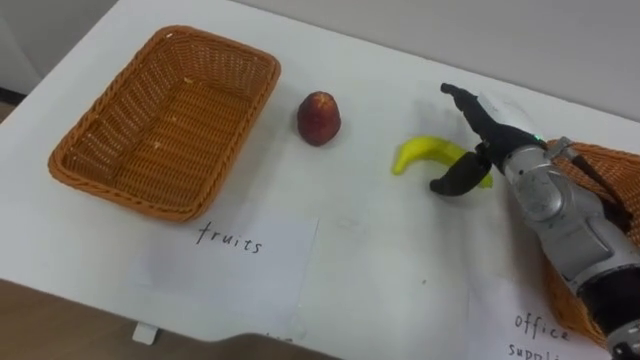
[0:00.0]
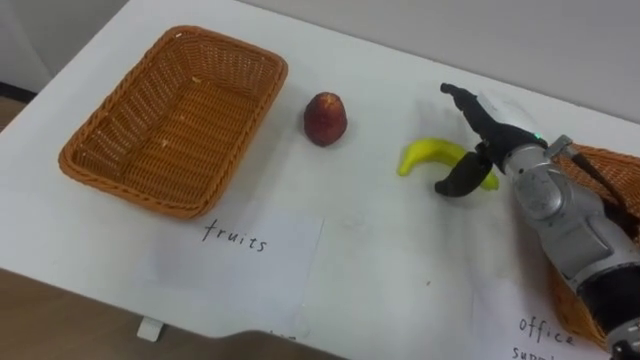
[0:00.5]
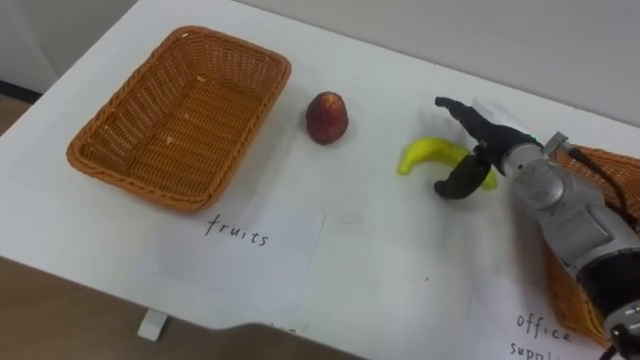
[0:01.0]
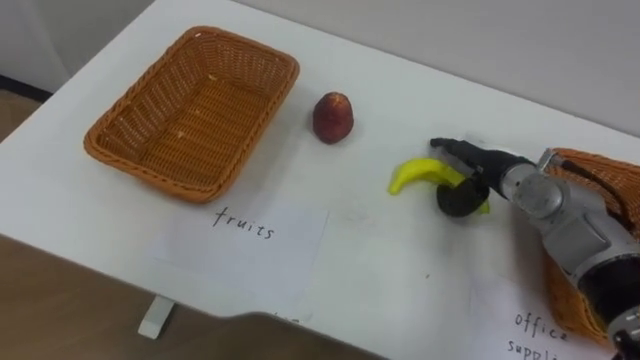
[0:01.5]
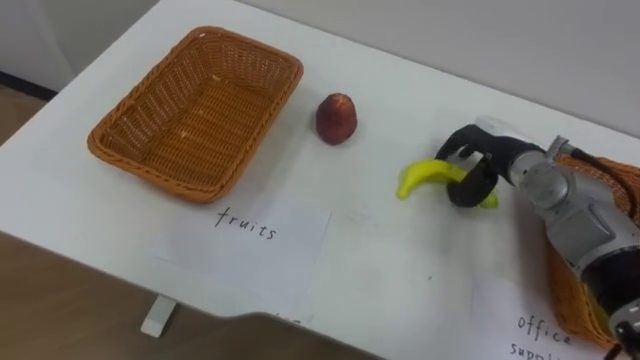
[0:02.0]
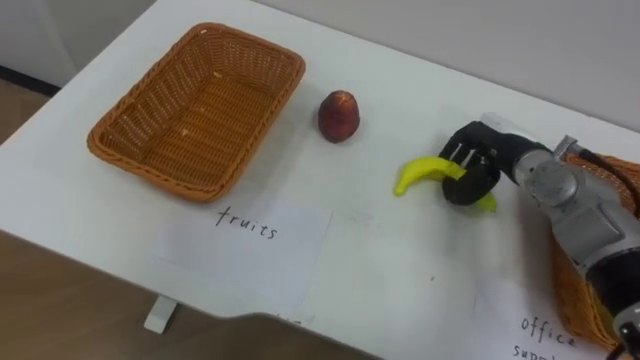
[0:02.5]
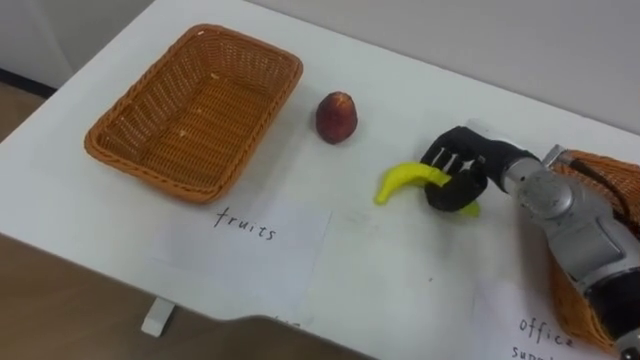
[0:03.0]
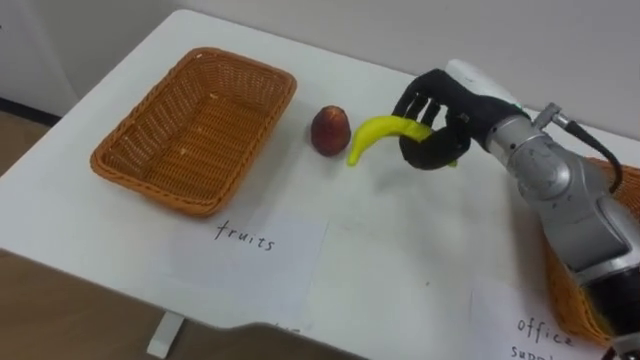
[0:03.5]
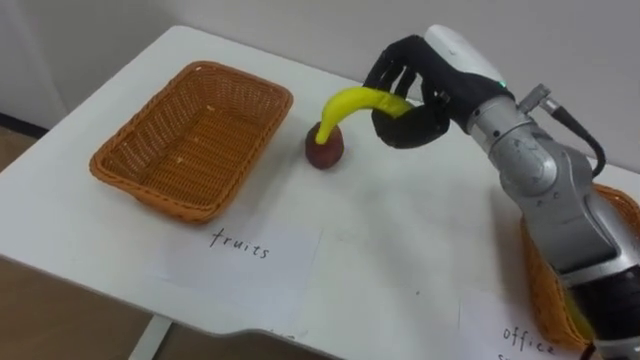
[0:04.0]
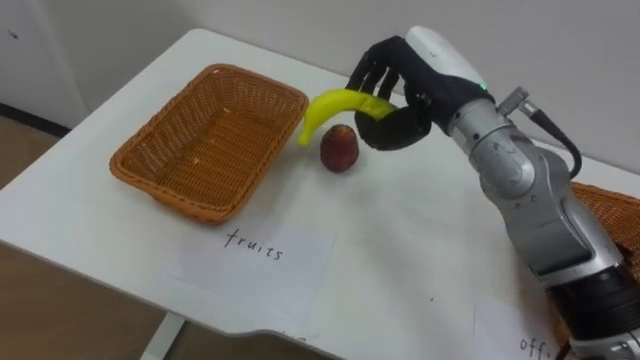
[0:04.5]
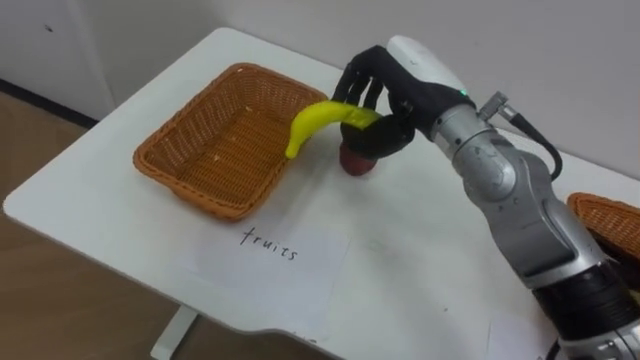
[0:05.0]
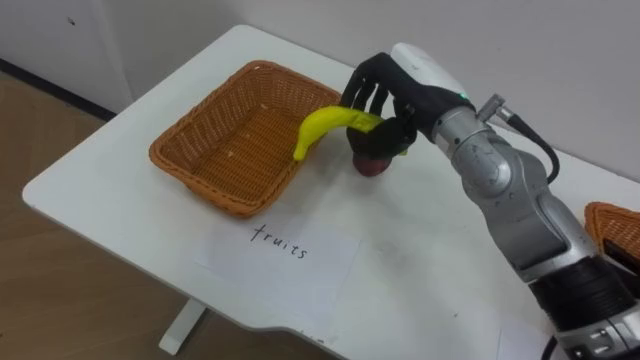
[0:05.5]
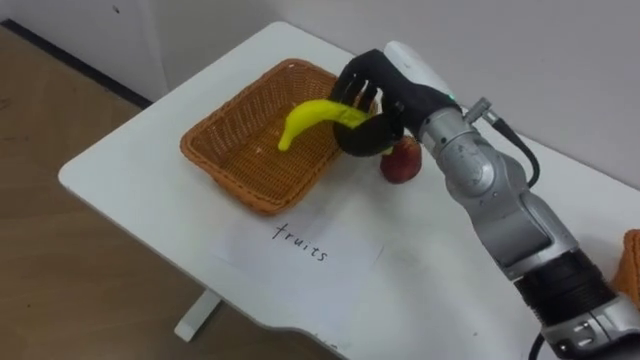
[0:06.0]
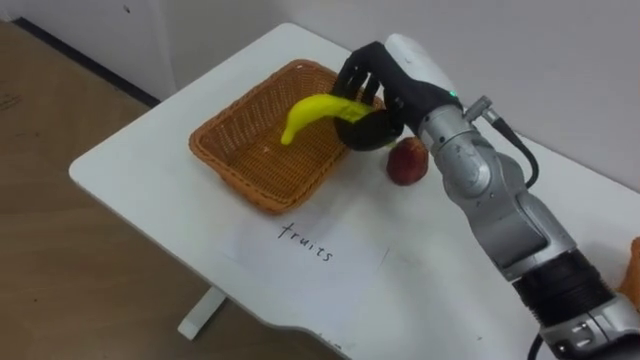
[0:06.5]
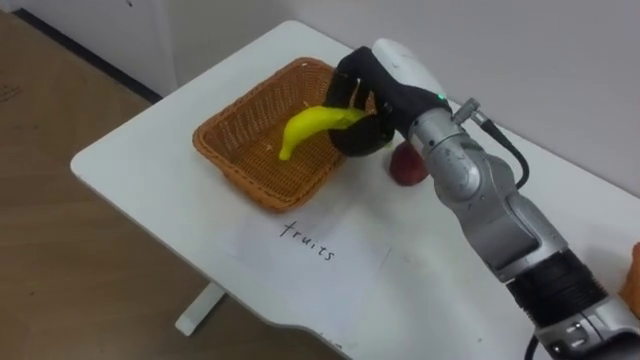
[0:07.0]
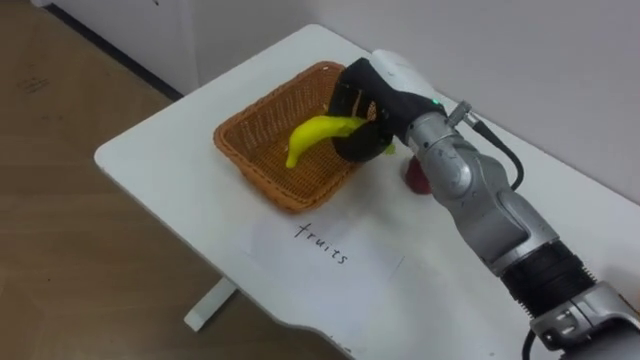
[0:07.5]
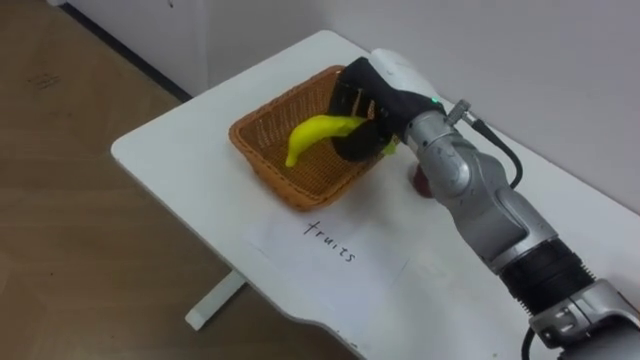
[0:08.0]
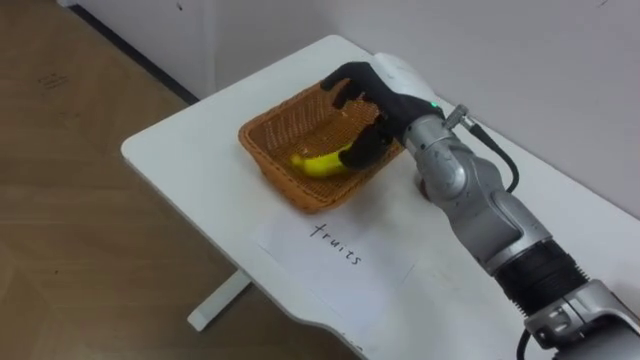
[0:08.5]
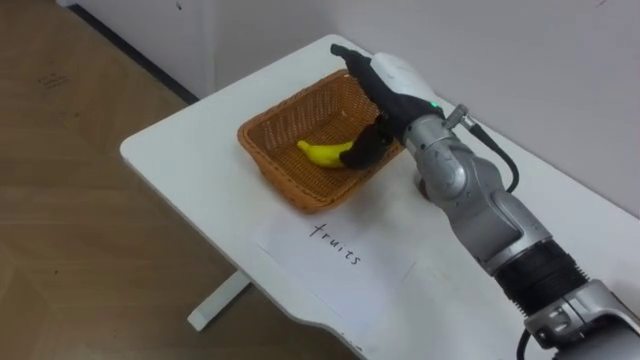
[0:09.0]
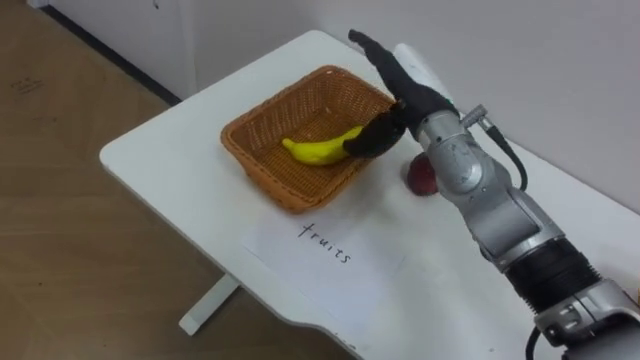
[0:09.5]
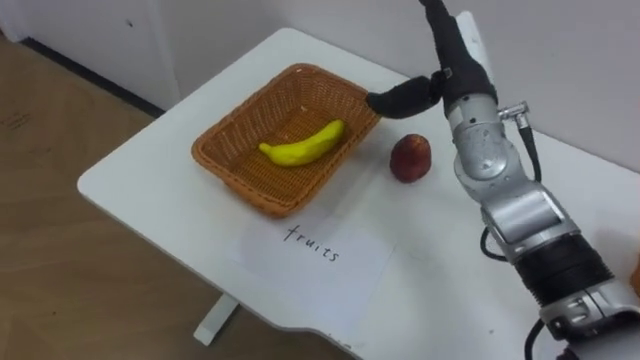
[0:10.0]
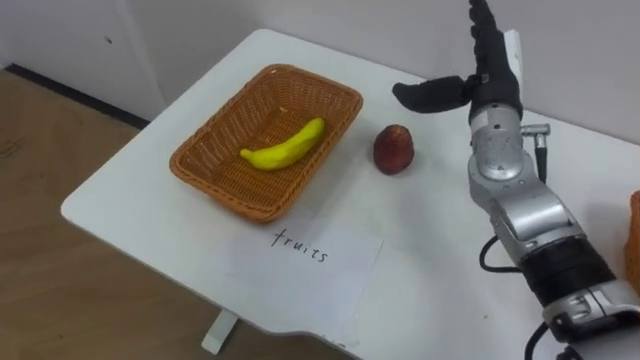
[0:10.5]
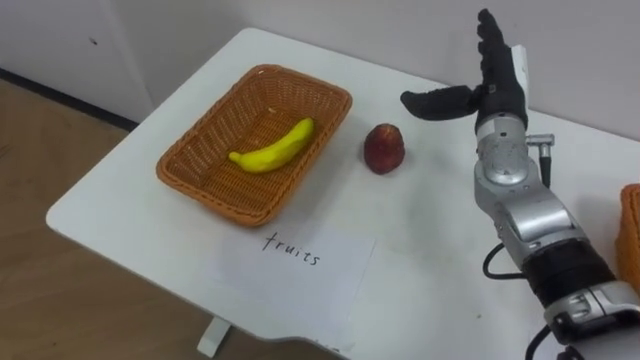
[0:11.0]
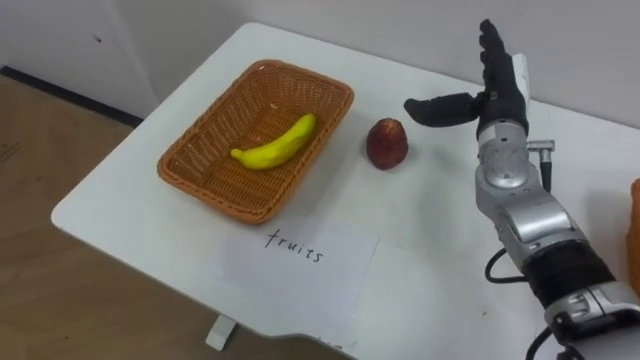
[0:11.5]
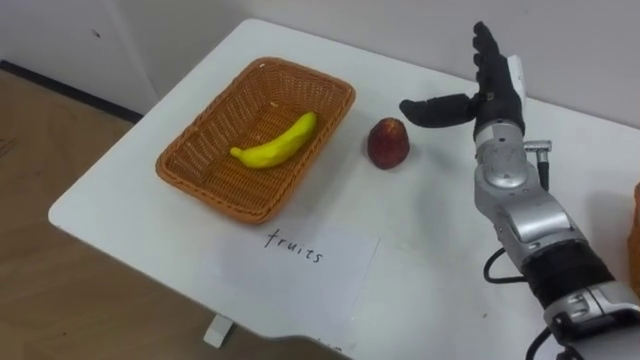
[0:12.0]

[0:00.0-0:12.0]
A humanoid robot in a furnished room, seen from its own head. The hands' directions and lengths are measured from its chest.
Task of the whole recording: Separate the items on the table and place them into the two baskets.
0:00.0 to 0:02.0: The right hand closes up.
0:02.0 to 0:04.0: The right hand goes approximately 15 cm upward and to the left, and closes its fingers.
0:08.0 to 0:10.0: The right hand heads to the right, covering about 5 cm, and opens up.
0:10.0 to 0:12.0: The right hand goes about 10 cm to the right and downward.

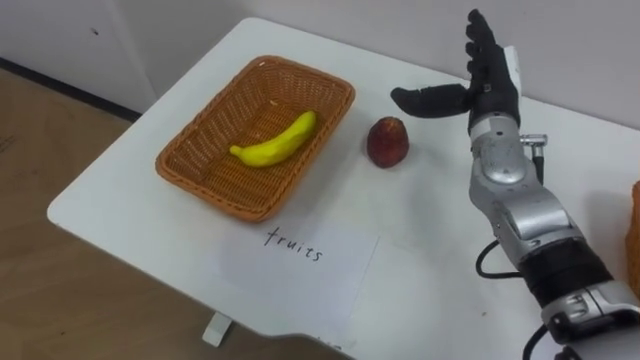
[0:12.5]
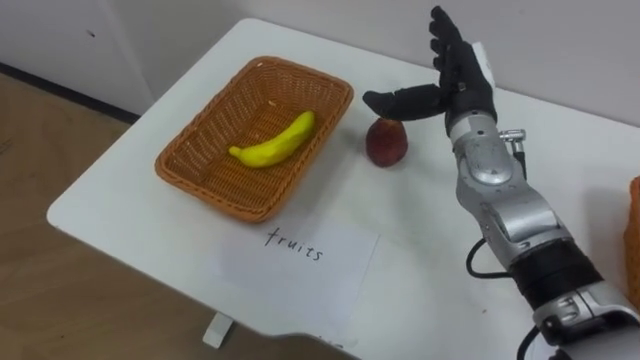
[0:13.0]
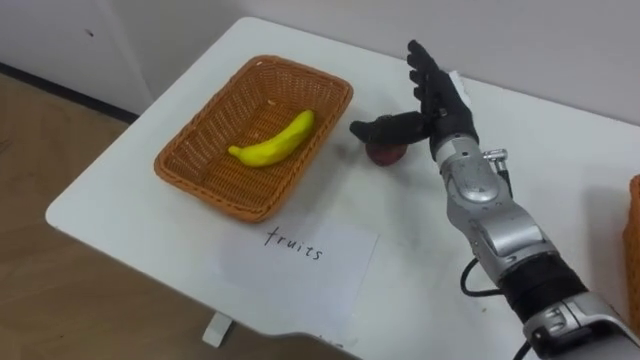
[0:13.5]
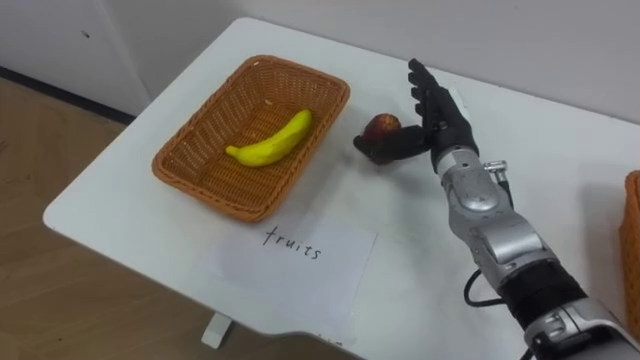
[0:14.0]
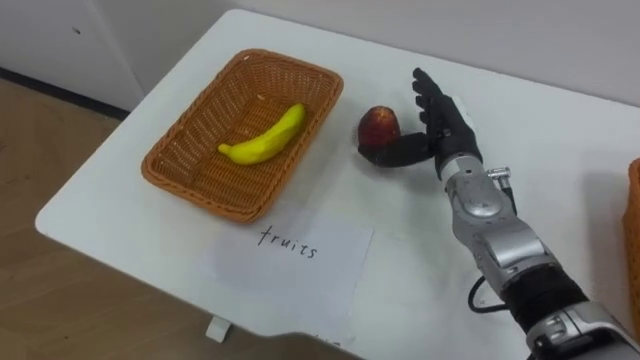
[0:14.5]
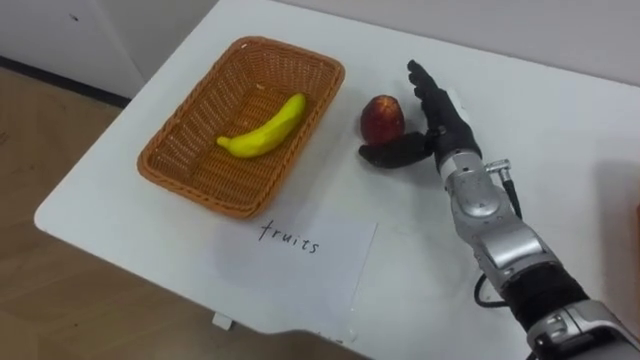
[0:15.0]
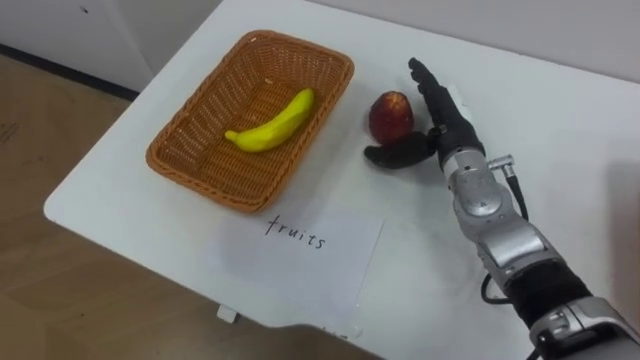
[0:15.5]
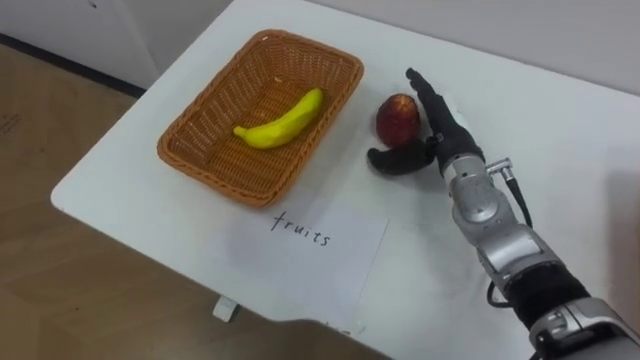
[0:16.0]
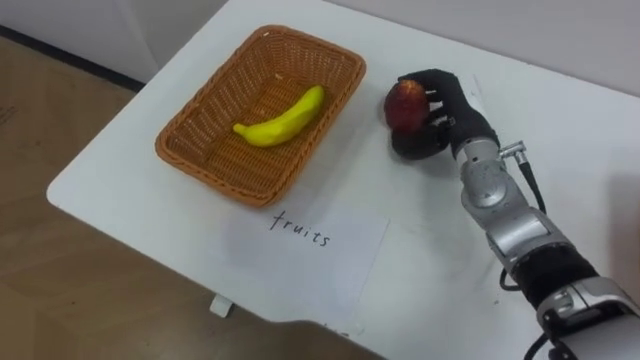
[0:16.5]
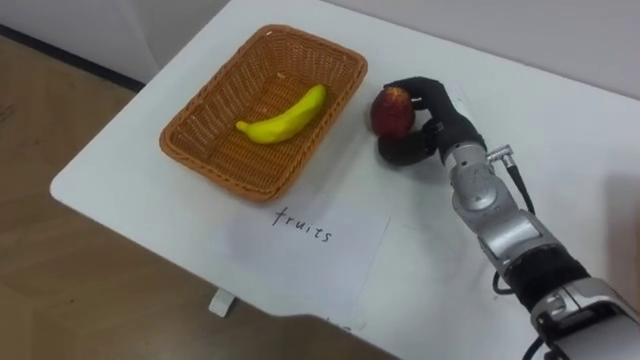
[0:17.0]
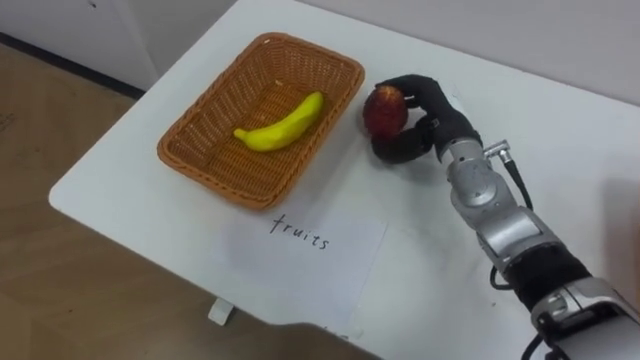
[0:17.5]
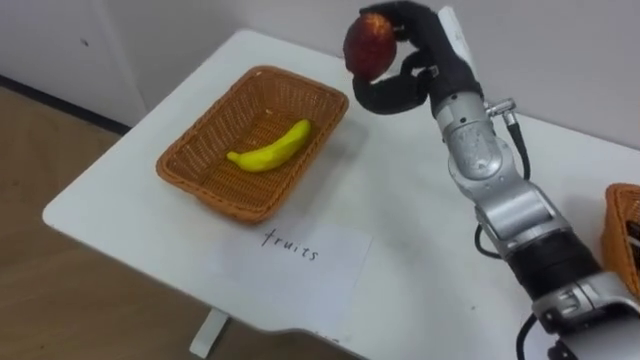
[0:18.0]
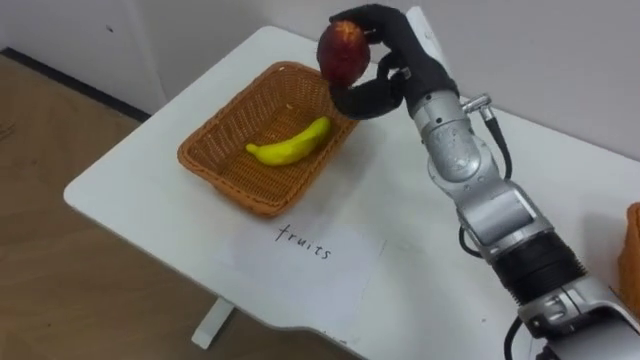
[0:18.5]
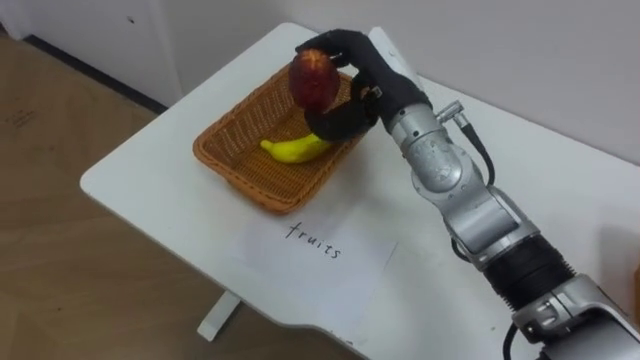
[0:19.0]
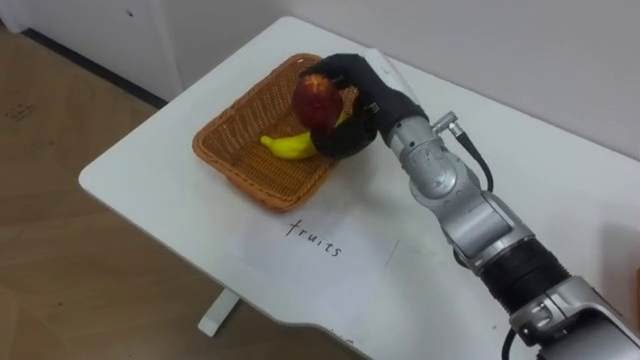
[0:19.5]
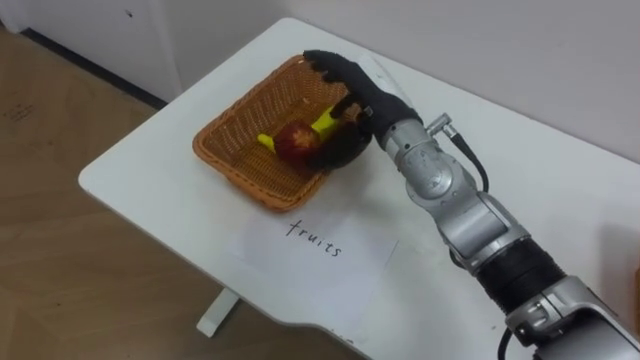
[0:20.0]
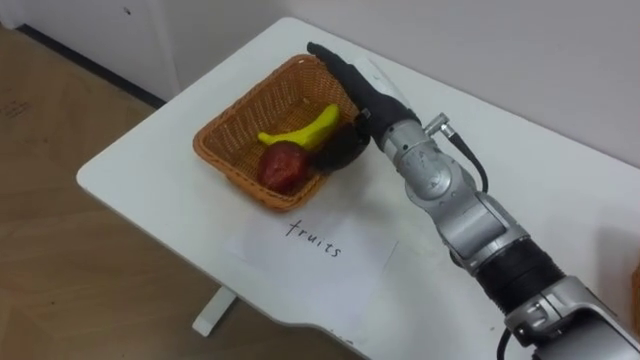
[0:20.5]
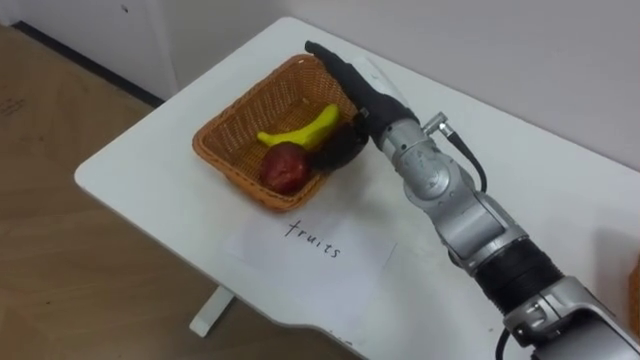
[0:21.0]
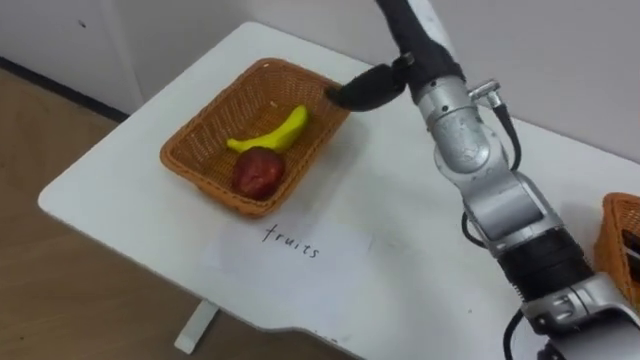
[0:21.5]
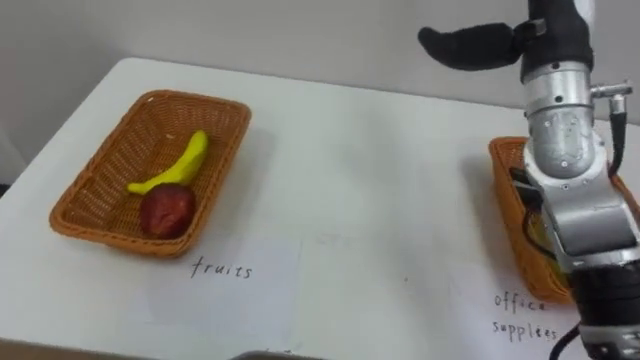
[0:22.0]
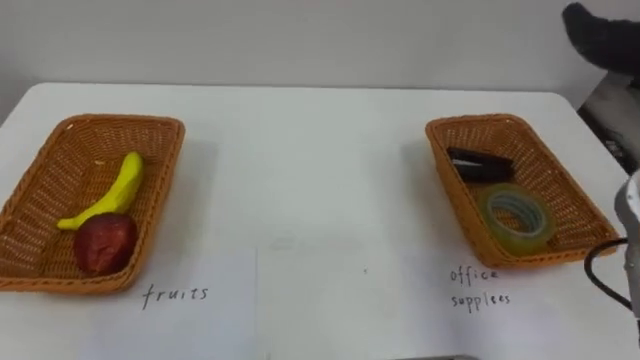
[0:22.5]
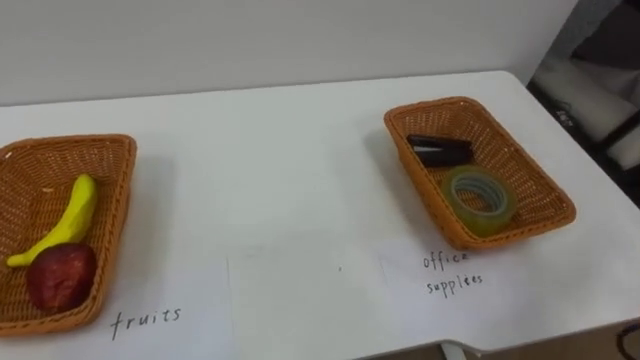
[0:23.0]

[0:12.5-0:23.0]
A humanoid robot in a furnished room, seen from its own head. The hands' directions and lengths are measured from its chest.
Task of the whole recording: Separate the items on the table and place them into the two baskets.
0:12.5 to 0:14.5: The right hand shifts roughly 5 cm downward.
0:14.5 to 0:16.5: The right hand closes up.
0:16.5 to 0:19.0: The right hand moves to the left and upward, approximately 15 cm.
0:19.0 to 0:21.0: The right hand opens.
